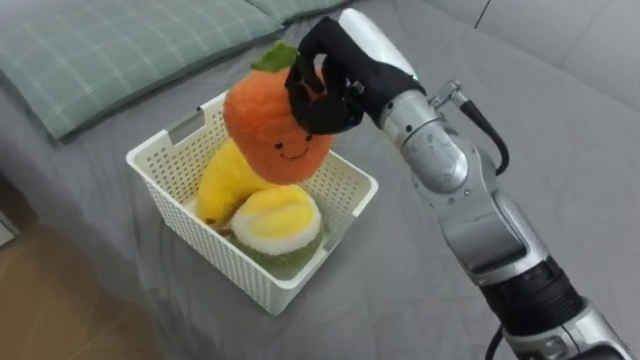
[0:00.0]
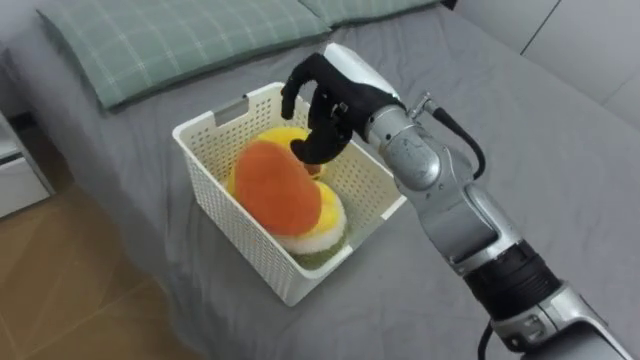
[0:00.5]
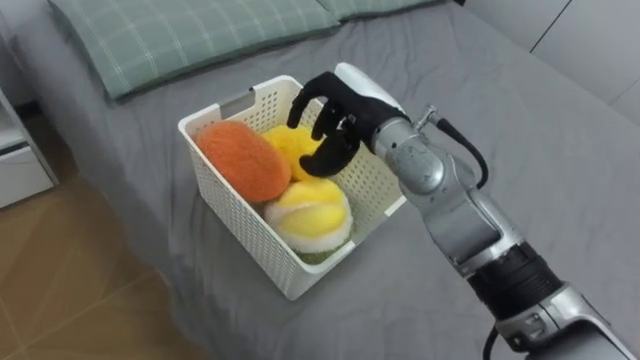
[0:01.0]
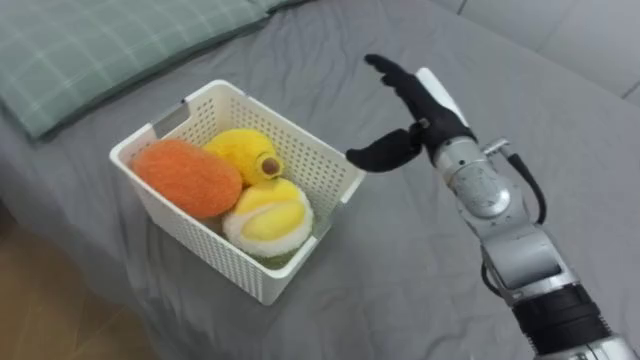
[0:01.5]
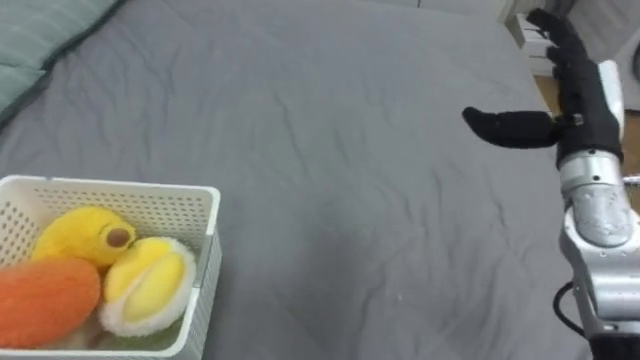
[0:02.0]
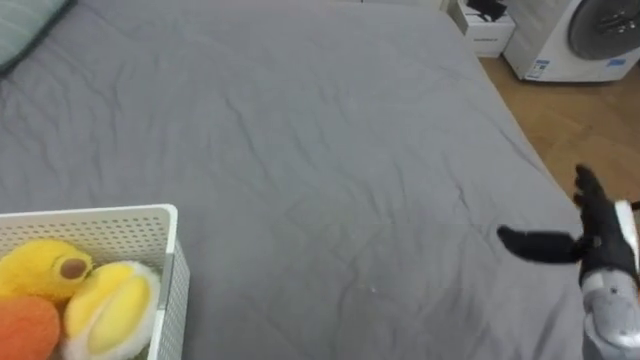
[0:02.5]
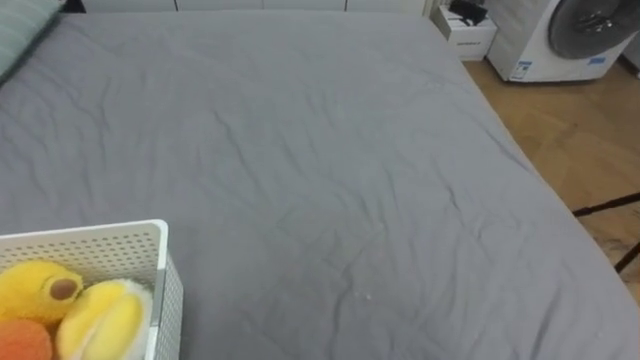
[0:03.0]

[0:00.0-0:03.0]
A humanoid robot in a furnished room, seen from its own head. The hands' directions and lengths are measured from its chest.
Task of the whole recording: Put the toys on the bed into the basket on the left.
0:00.0 to 0:01.5: The right hand goes approximately 10 cm downward and to the right, and opens.

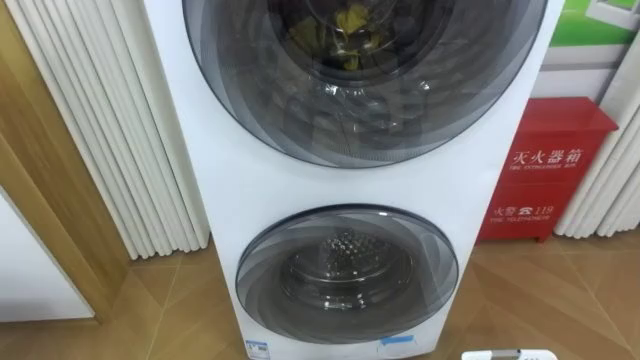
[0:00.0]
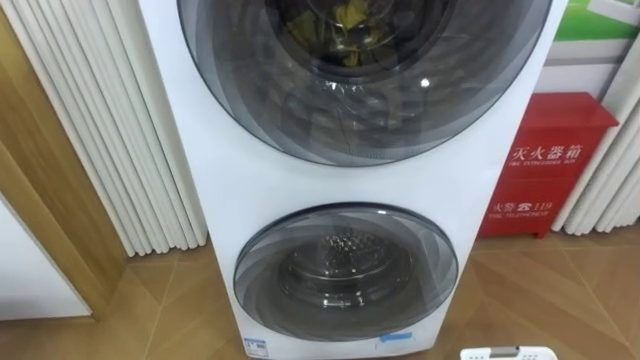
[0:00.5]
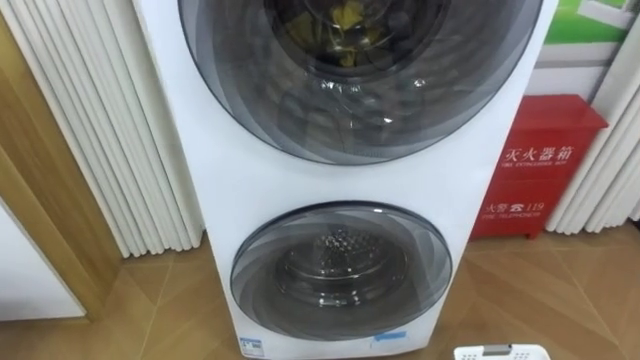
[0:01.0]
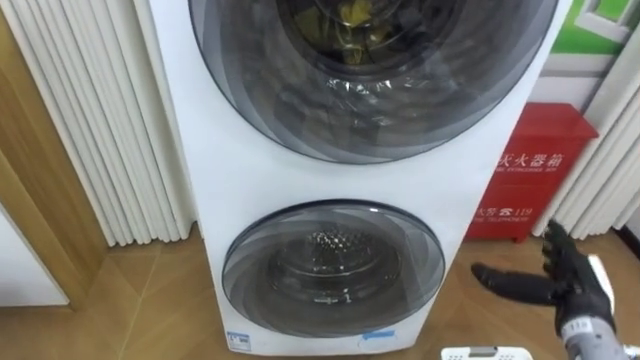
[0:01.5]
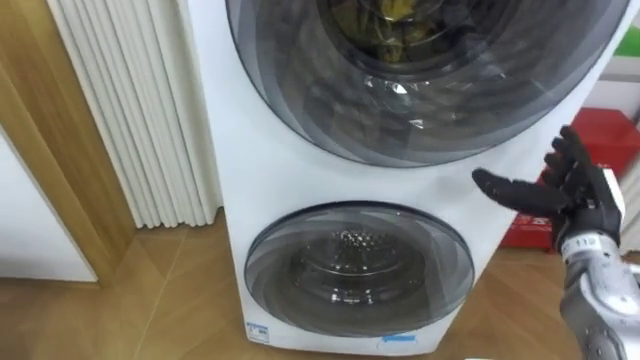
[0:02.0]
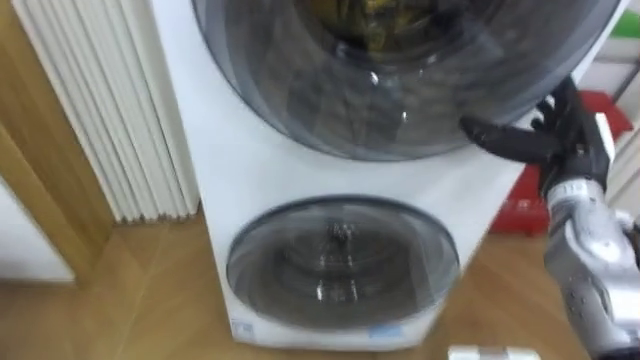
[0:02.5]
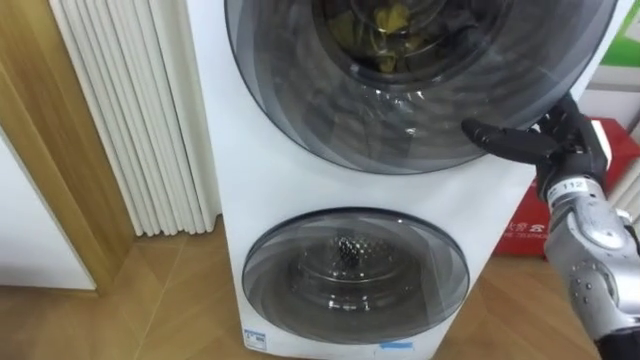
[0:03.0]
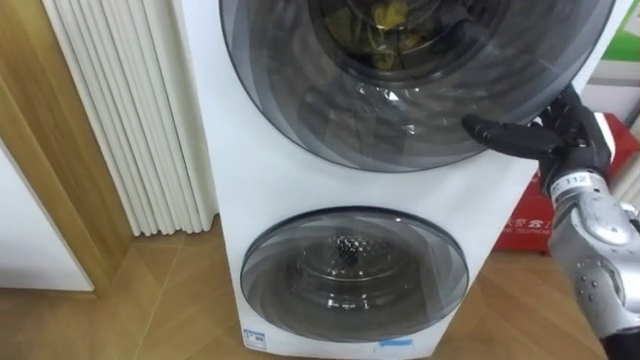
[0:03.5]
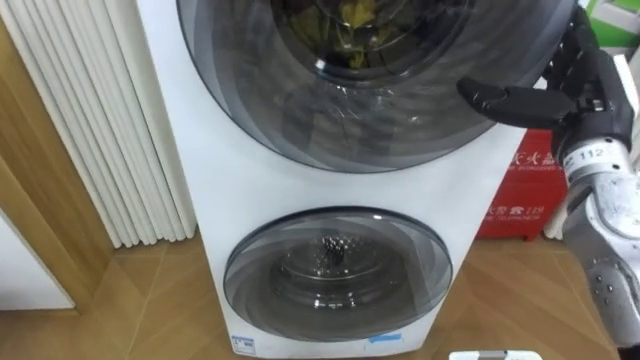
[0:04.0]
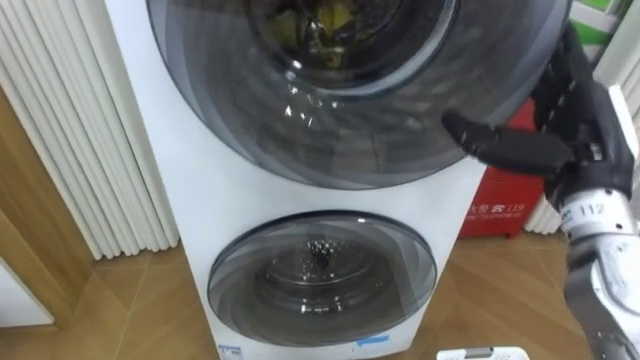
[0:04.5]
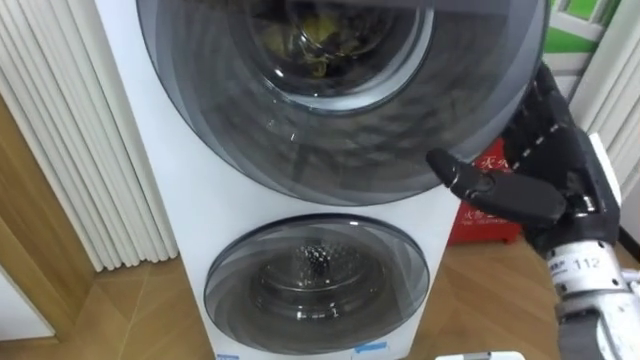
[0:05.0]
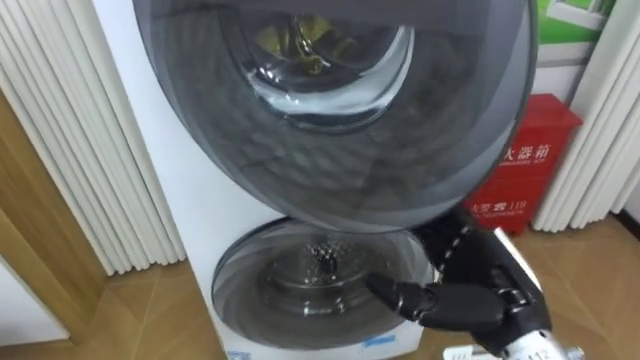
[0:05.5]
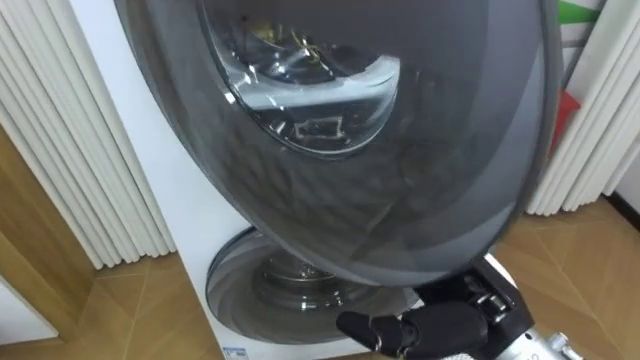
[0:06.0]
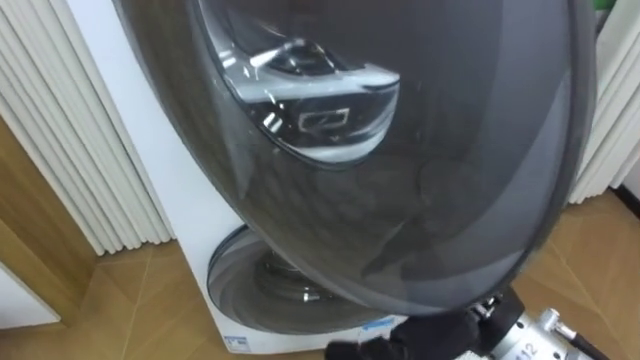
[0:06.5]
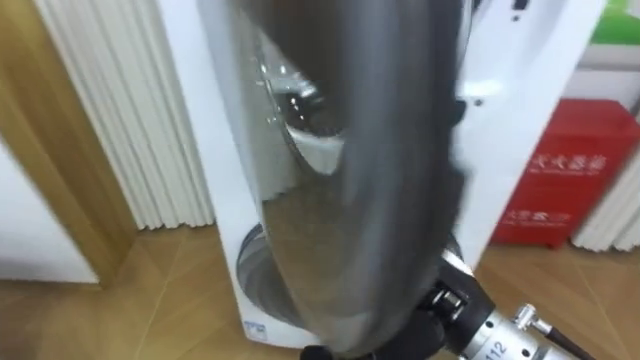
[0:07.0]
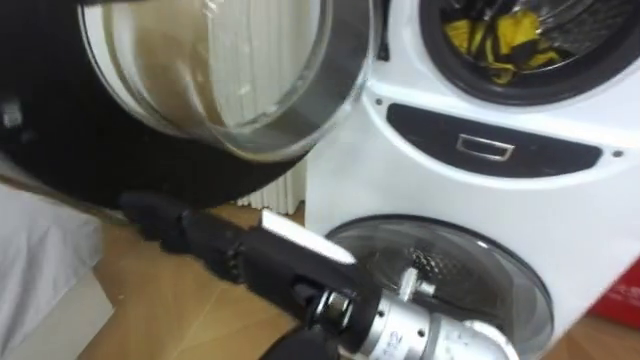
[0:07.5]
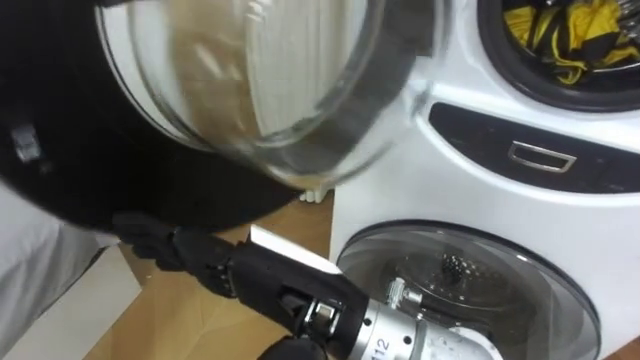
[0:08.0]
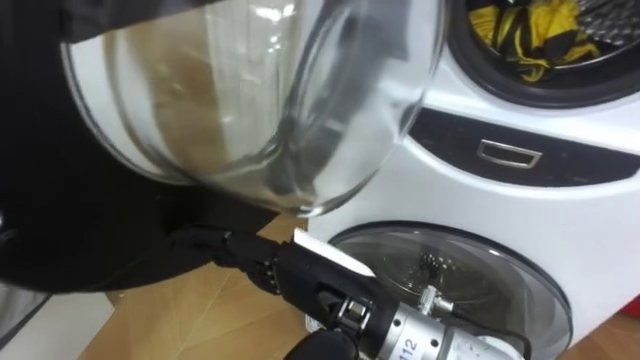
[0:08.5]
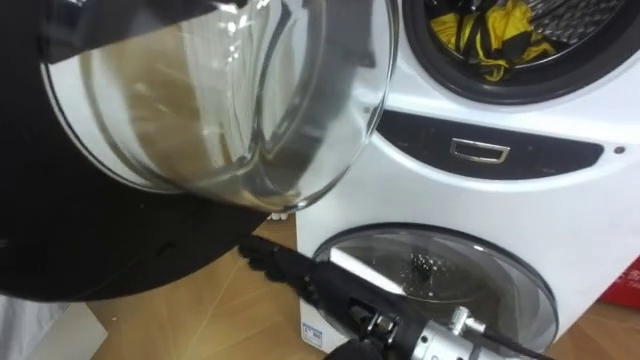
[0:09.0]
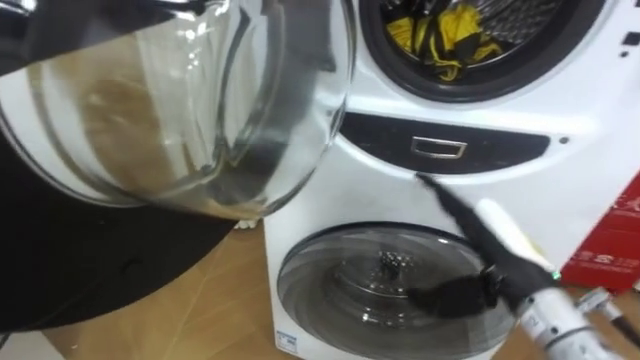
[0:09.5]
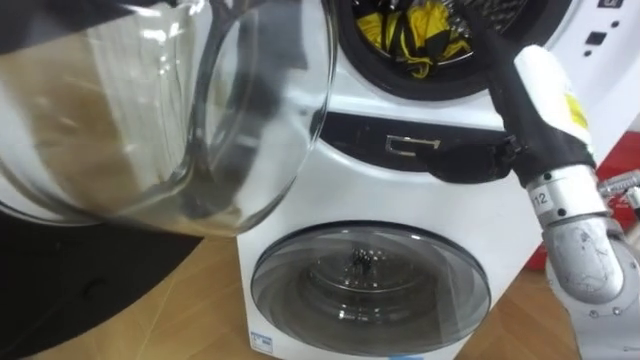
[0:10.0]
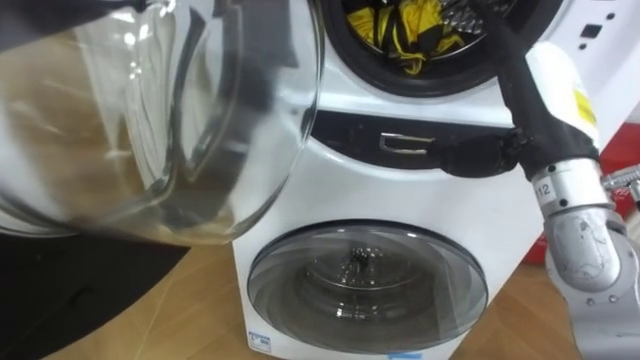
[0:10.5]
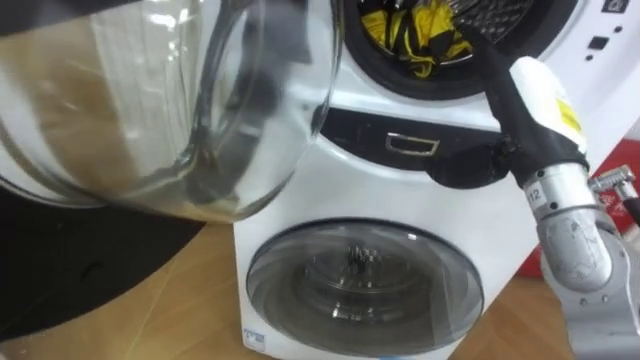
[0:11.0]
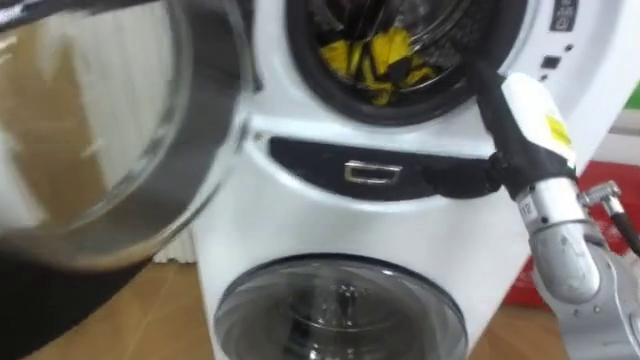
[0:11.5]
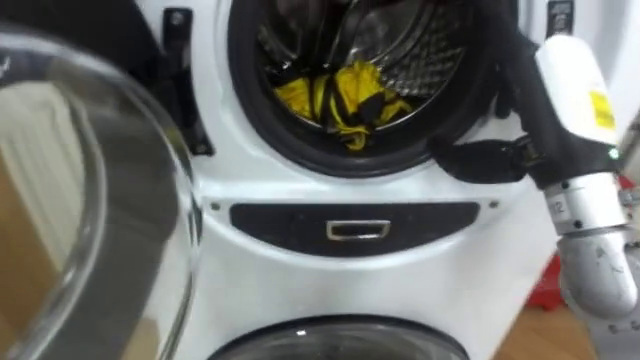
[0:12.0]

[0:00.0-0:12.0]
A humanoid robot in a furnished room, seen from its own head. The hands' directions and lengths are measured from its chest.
Task of the whole recording: Open the washing machine door, take out the yellow clothes, place them in the box on the right, and close the washing machine door.
0:02.0 to 0:04.0: The right hand is displaced upward by approximately 10 cm.
0:04.0 to 0:06.0: The right hand goes roughly 20 cm backward, to the left and downward.
0:06.0 to 0:08.0: The right hand shifts some 15 cm to the left.
0:08.0 to 0:10.0: The right hand heads to the right and forward, covering roughly 25 cm.

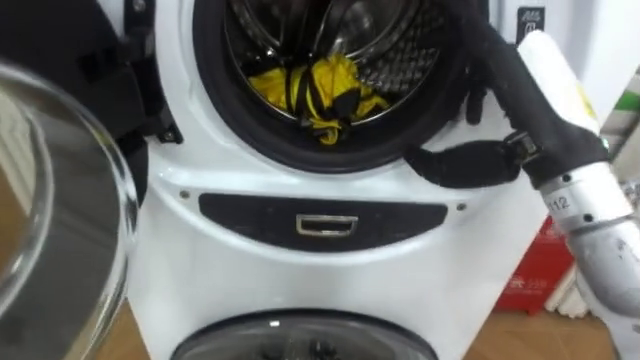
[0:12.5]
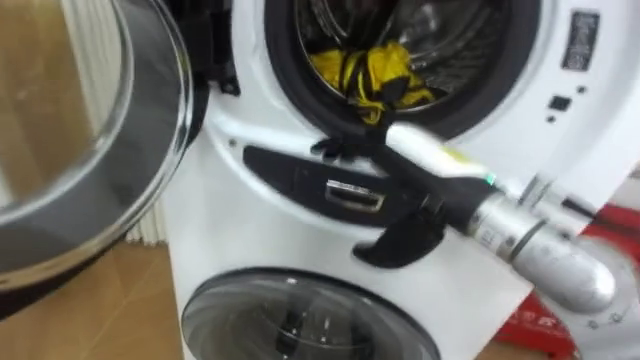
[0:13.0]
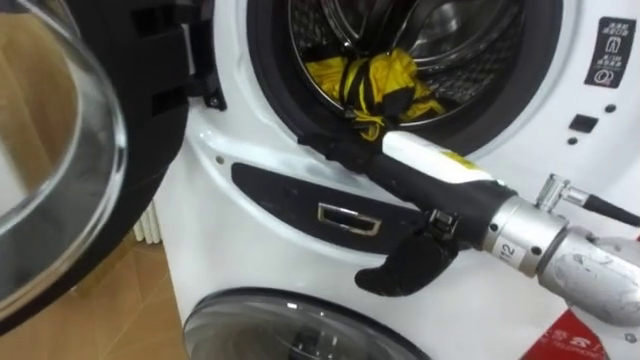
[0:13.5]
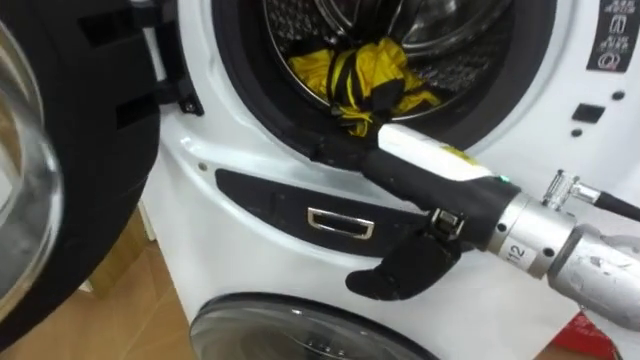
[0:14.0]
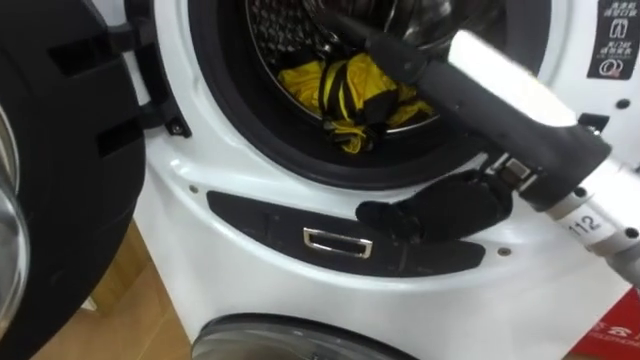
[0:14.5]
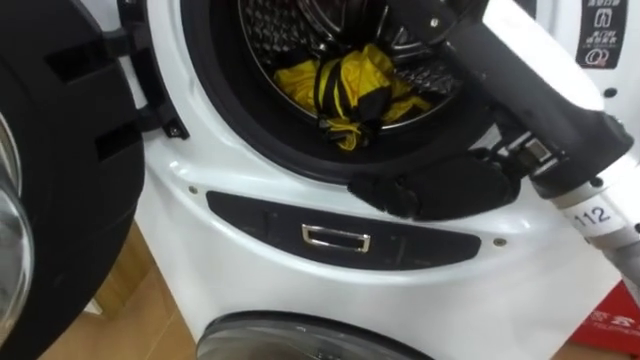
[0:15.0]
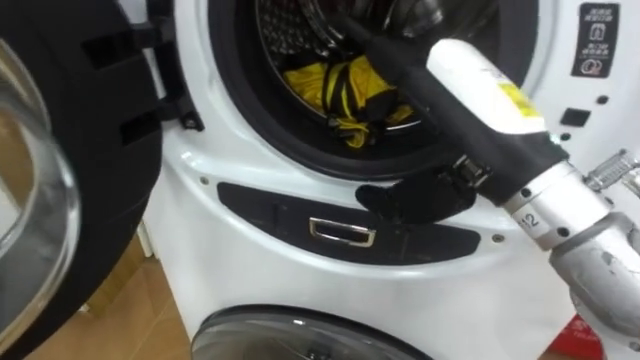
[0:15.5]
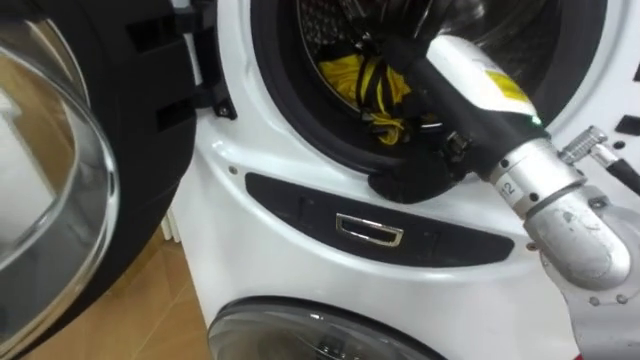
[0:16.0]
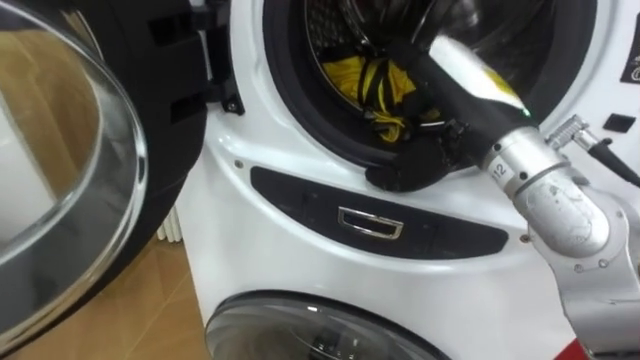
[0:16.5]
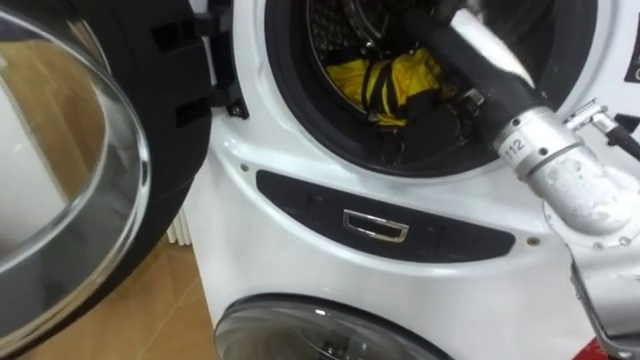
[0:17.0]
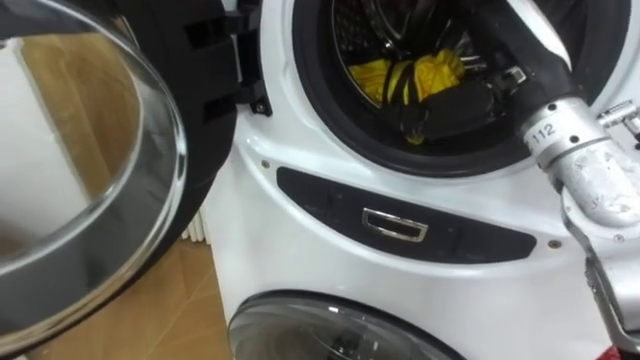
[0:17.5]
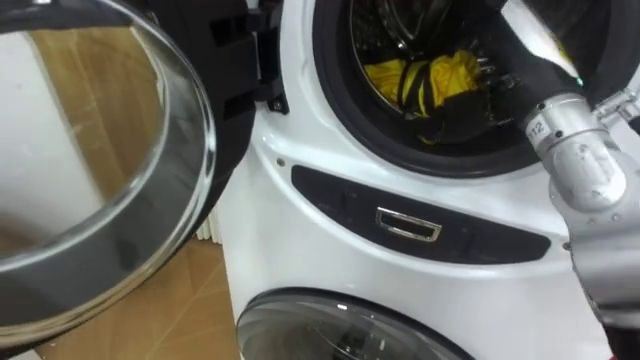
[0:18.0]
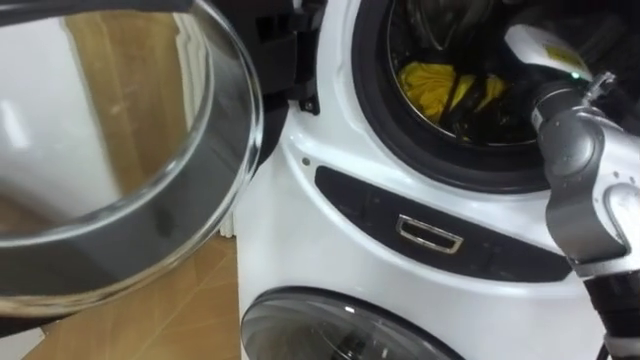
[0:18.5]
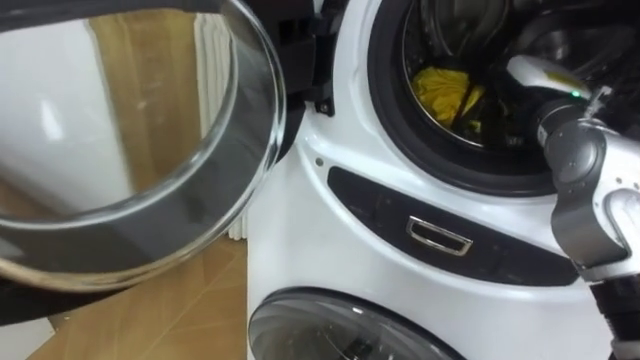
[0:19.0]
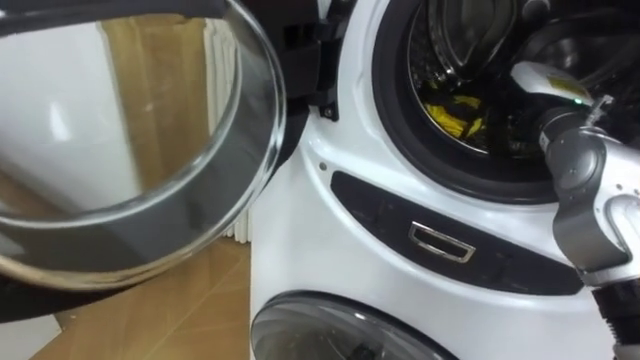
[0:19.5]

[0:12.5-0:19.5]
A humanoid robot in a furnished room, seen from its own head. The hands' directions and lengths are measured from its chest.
Task of the whole recording: Open the washing machine door, take out the yellow clothes, place them in the box on the right, and close the washing machine door.
0:12.5 to 0:14.5: The robot faces some 15 degrees further to its left. The right hand heads backward and to the left, covering some 10 cm.
0:14.5 to 0:16.0: The right hand is displaced forward by some 5 cm.
0:16.0 to 0:17.5: The right hand shifts by approximately 5 cm.
0:17.5 to 0:19.5: The right hand is displaced downward, to the right and forward by about 10 cm, and closes its fingers.
